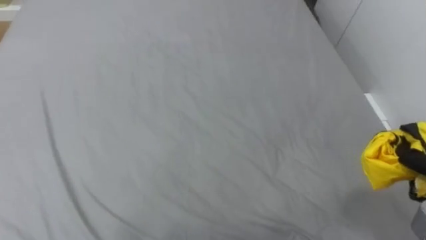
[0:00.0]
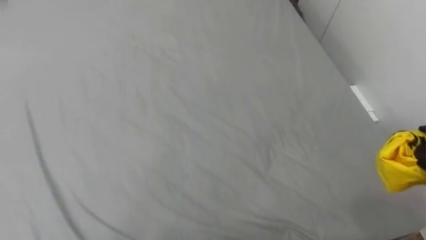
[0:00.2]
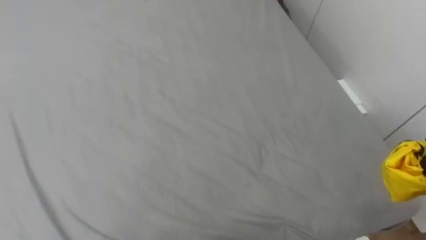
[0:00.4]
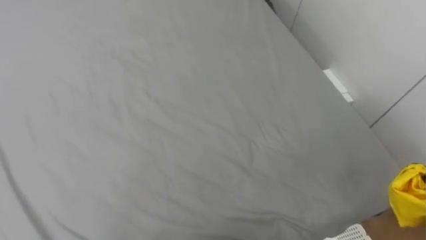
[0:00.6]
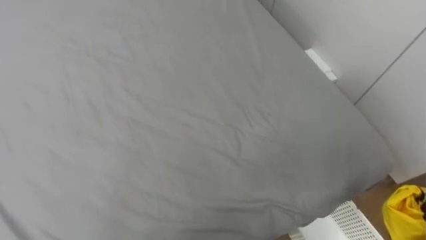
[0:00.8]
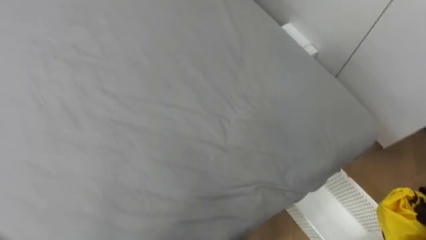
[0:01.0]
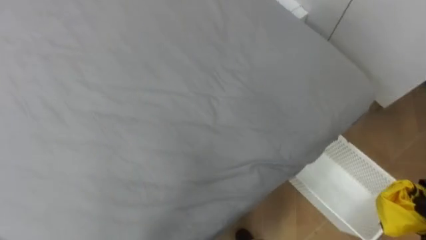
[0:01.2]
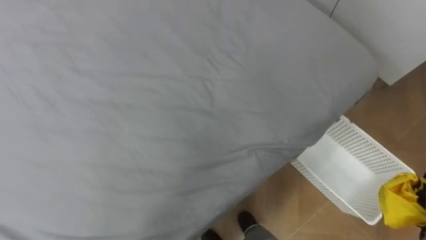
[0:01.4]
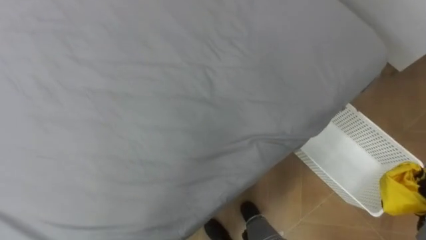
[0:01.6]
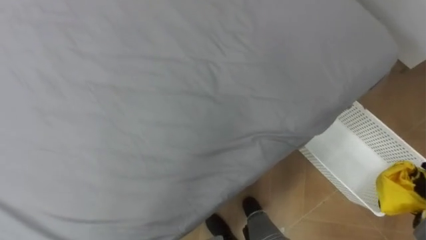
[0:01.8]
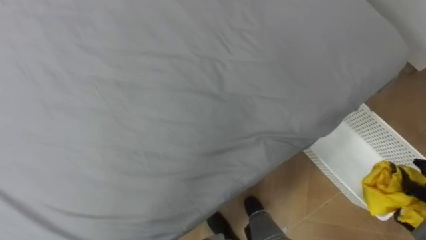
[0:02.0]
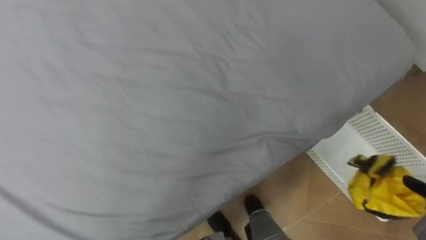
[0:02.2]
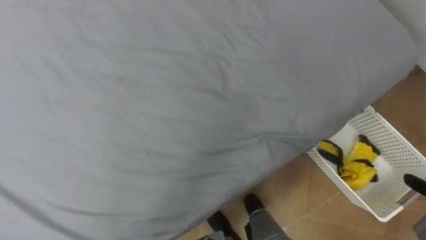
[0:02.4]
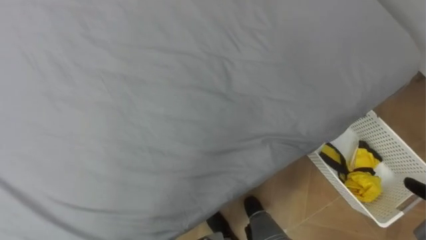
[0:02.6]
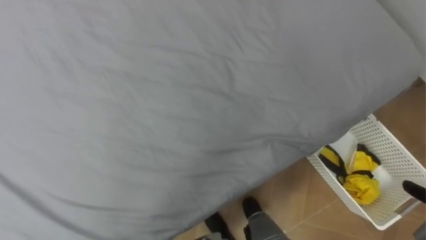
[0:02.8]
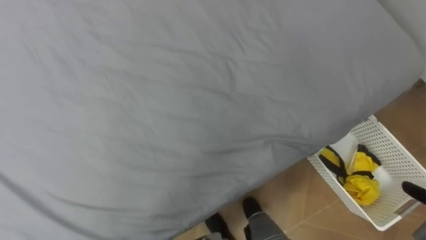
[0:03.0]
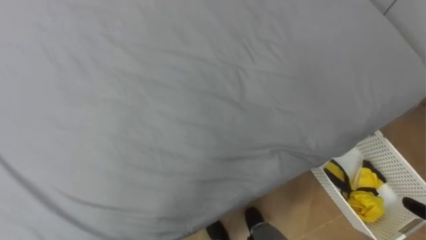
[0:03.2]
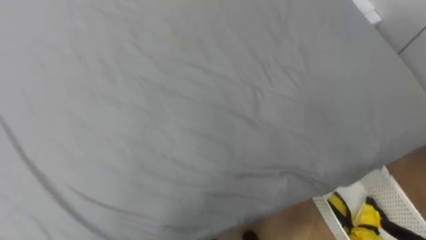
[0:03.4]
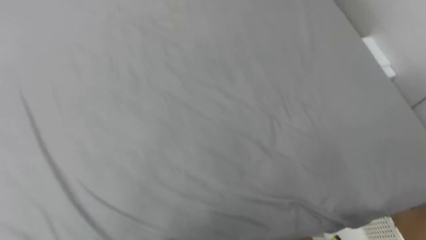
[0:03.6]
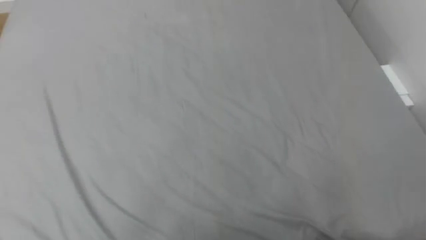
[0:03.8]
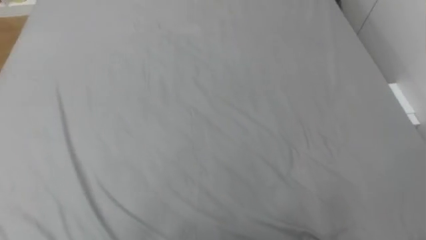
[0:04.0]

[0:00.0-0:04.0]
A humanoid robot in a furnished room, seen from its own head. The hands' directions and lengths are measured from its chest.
Task of the whole recording: Pick up the yellow clothes on the bed and place them into the white basket on the right.
0:00.0 to 0:01.4: The robot rotates roughly 20 degrees to its right.
0:02.6 to 0:04.0: The robot turns to its left by some 20 degrees.

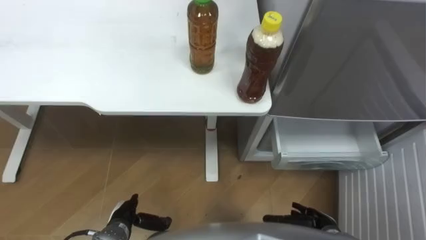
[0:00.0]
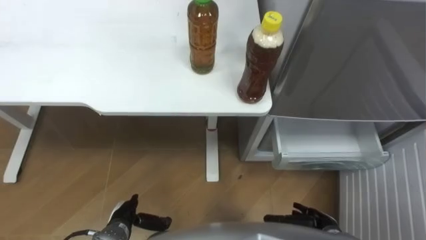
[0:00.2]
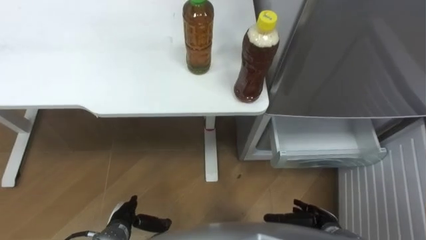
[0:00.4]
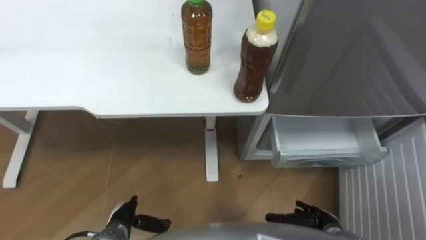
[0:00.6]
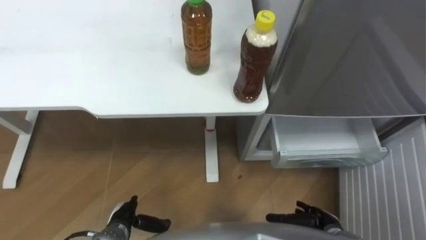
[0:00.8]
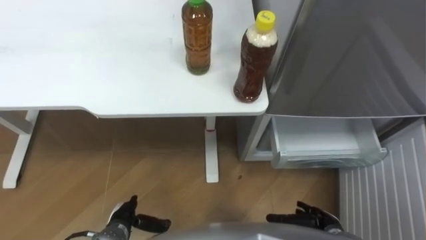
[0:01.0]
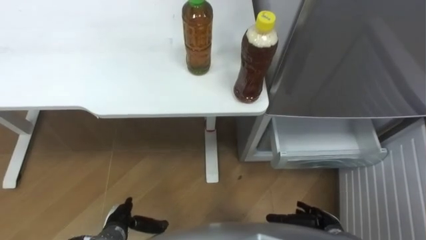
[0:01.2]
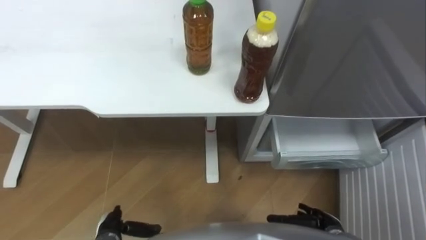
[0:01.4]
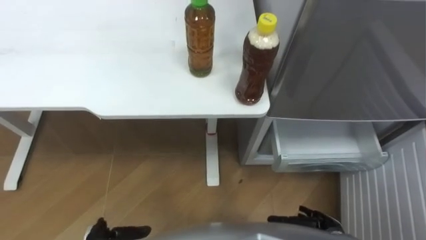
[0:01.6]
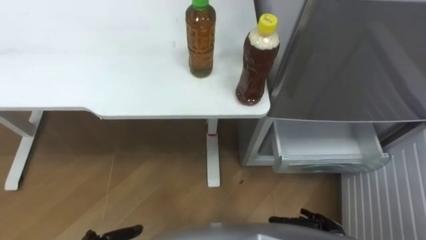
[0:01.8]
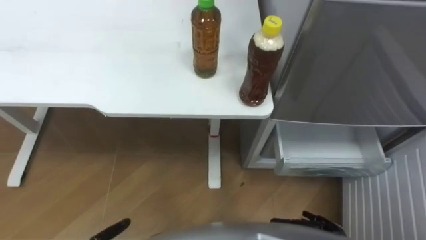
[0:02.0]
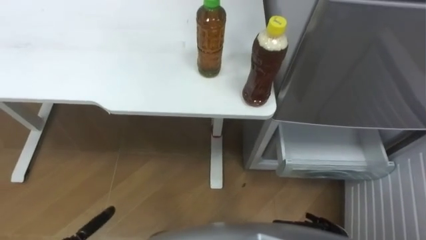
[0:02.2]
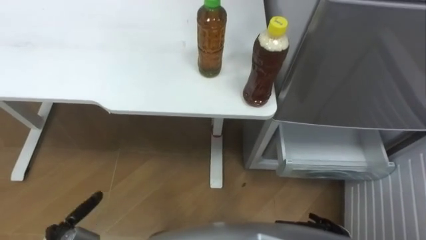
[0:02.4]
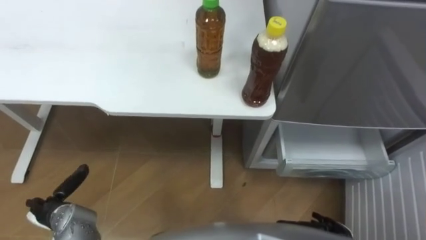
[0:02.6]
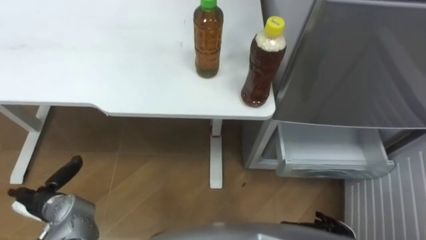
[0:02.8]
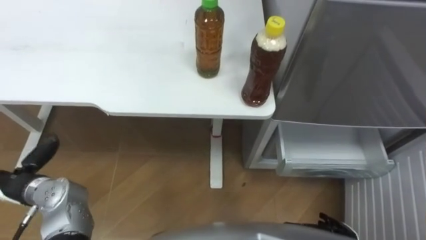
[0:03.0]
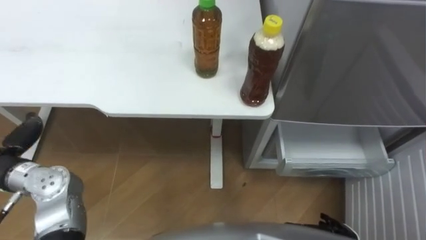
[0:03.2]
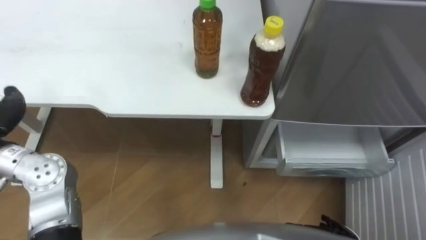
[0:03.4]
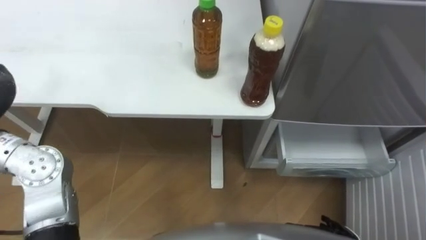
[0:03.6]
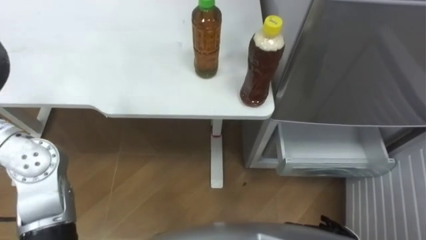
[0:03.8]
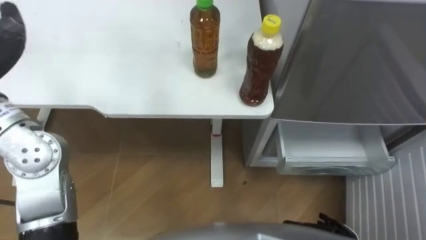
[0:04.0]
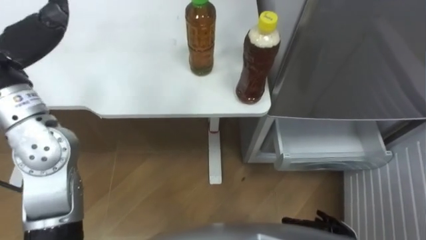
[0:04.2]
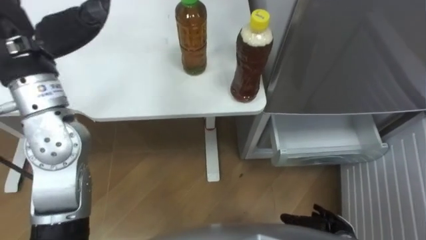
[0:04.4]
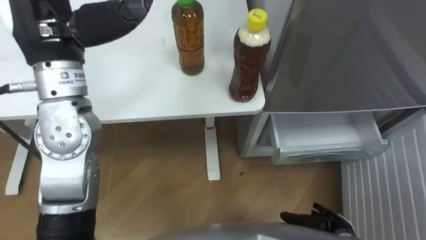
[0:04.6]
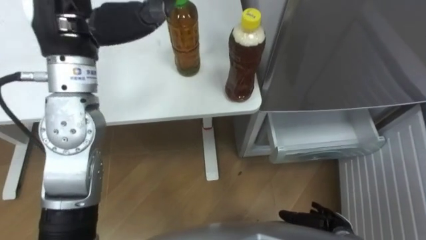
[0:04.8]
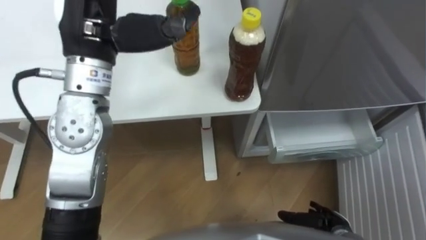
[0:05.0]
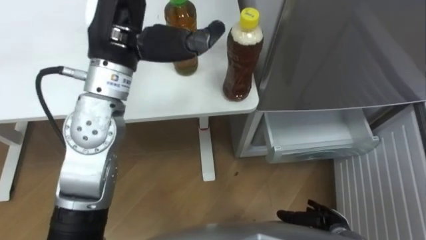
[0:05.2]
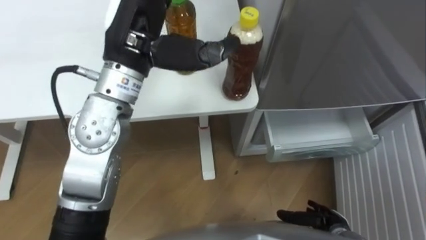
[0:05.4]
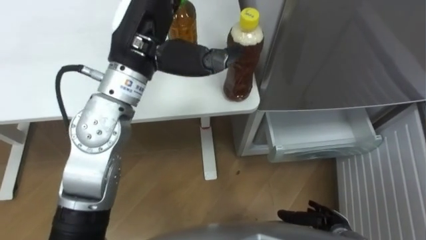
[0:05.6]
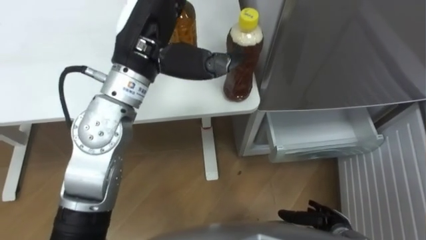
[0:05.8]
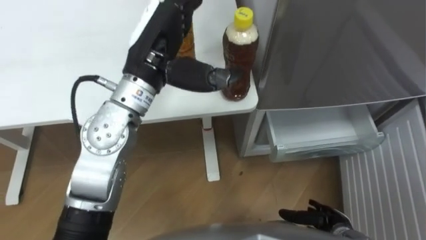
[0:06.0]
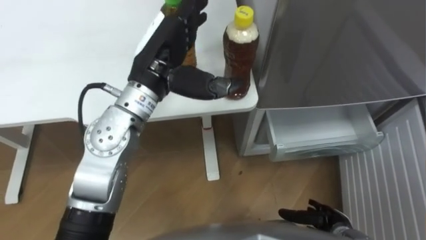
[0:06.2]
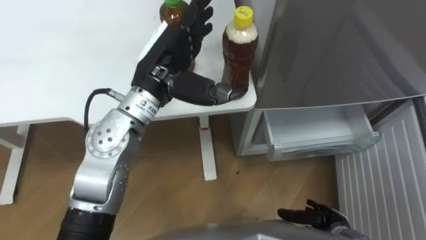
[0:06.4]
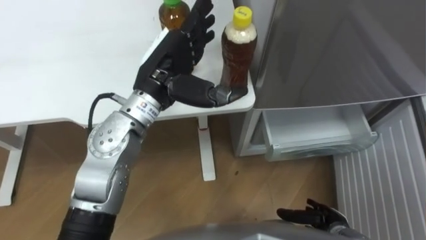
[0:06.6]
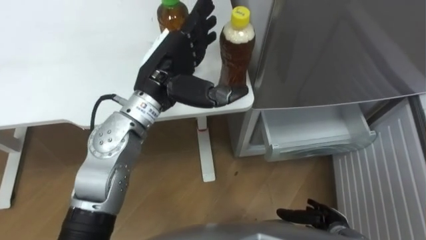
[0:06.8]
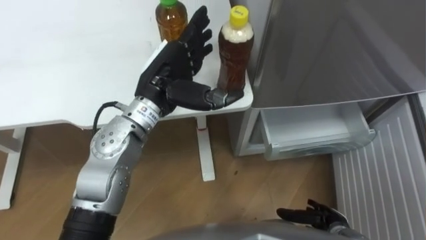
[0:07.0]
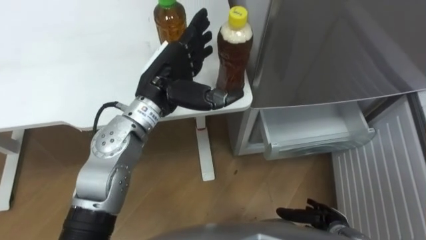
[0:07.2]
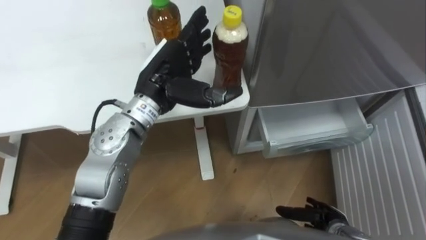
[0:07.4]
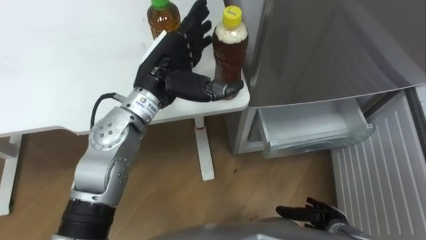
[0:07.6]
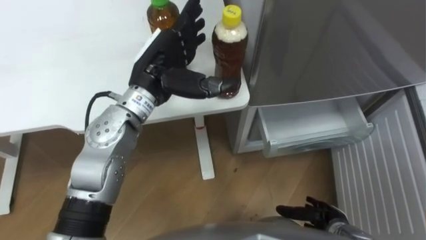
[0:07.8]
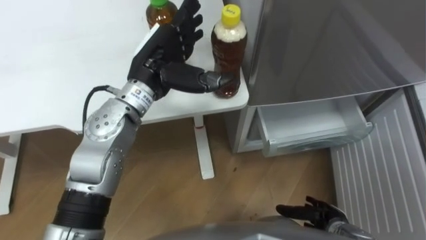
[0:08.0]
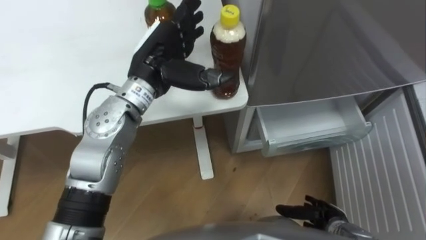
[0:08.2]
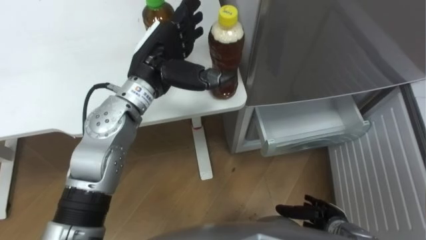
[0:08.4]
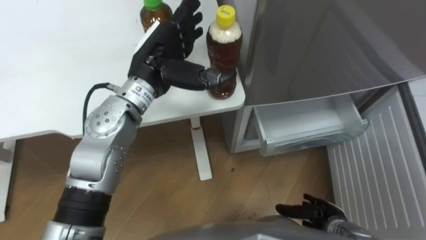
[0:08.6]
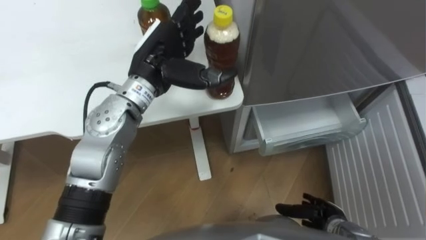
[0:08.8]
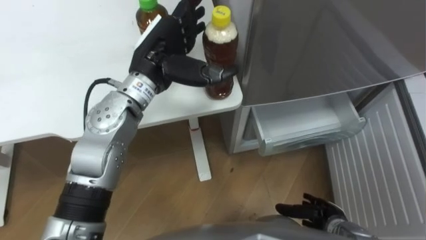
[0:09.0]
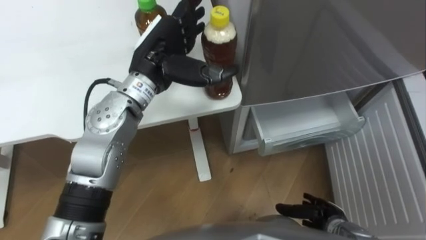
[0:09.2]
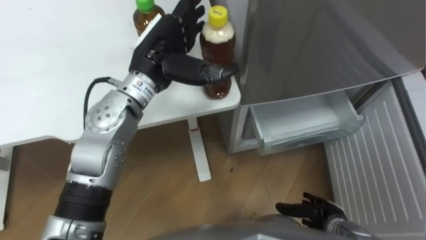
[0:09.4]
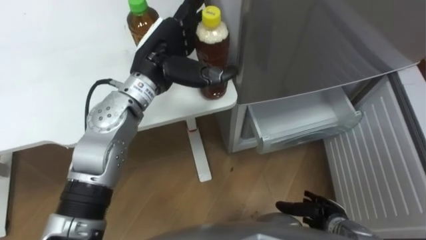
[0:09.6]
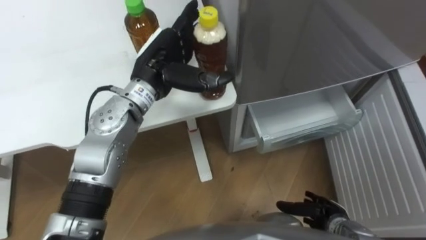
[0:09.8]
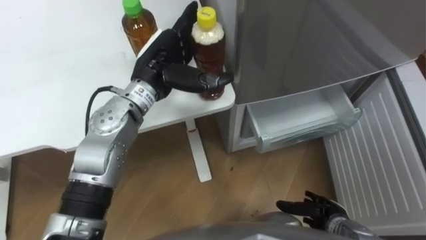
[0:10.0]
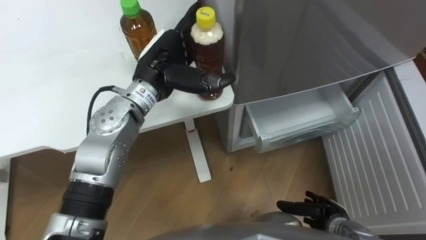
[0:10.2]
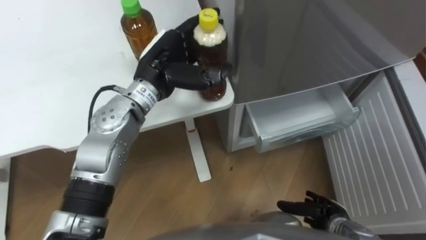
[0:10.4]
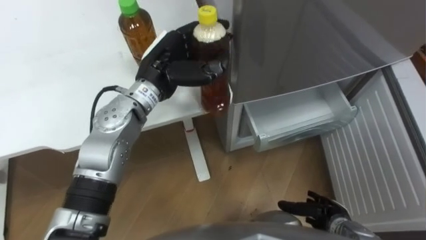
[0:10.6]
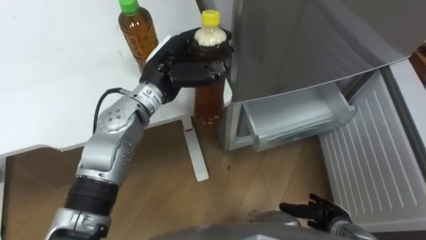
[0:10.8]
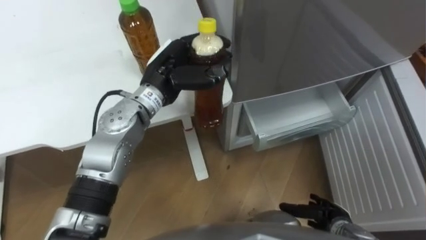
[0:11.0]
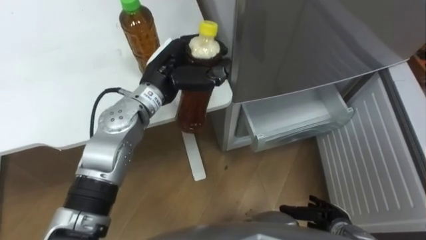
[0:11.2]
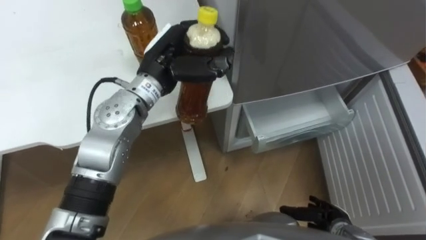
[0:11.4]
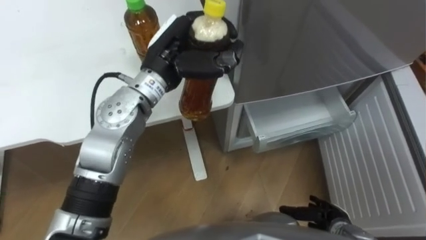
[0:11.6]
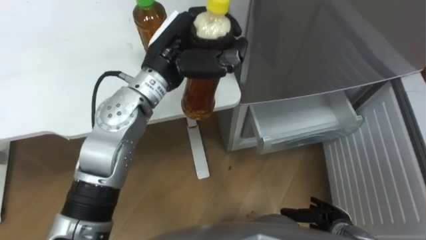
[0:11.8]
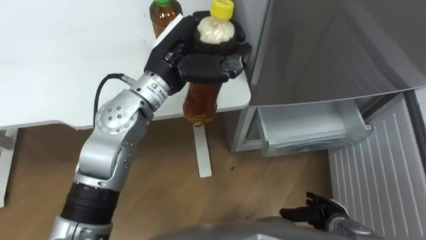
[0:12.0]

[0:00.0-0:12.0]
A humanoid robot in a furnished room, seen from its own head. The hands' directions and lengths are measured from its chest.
Task of the whole recording: Place the drink on the table on the bottom shelf of the refrigerator, then close the drawer and the refrigerator door.
0:04.4 to 0:06.0: The left hand moves to the right, about 15 cm.
0:06.0 to 0:07.6: The left hand goes approximately 5 cm downward.
0:10.4 to 0:12.0: The left hand ends up approximately 5 cm from where it was, and closes up.

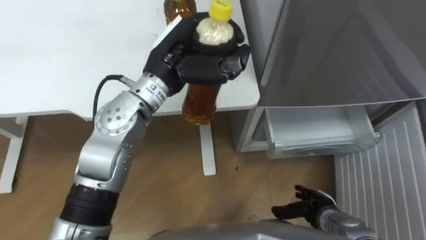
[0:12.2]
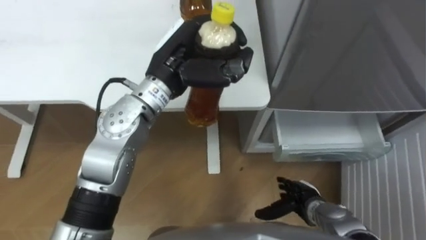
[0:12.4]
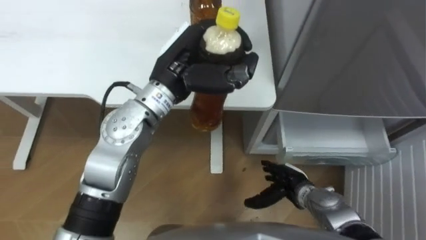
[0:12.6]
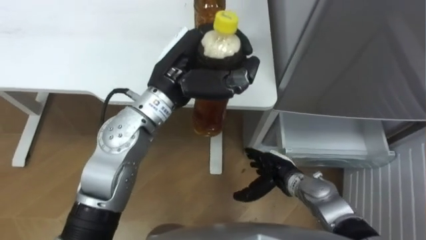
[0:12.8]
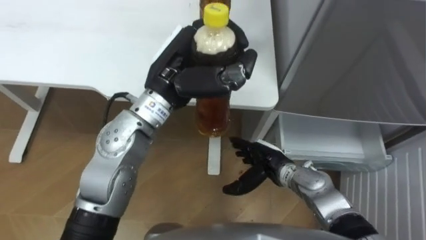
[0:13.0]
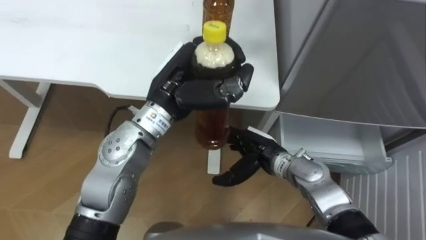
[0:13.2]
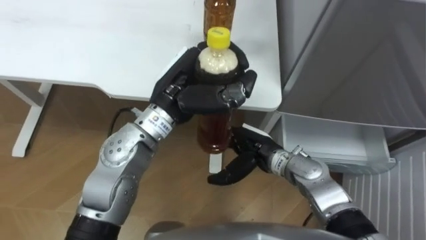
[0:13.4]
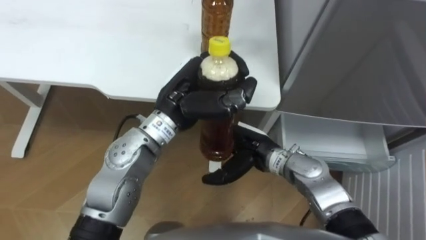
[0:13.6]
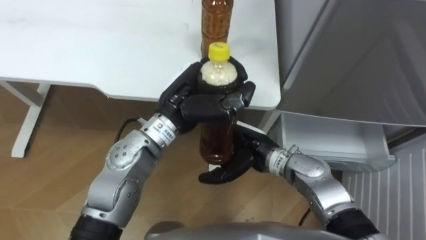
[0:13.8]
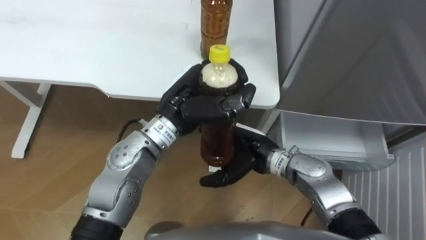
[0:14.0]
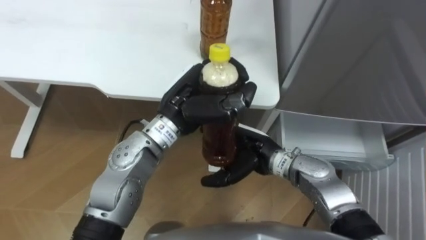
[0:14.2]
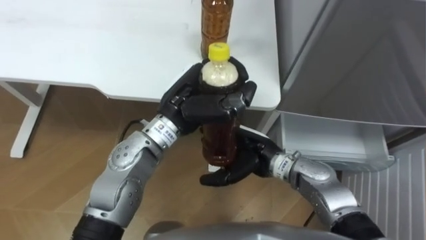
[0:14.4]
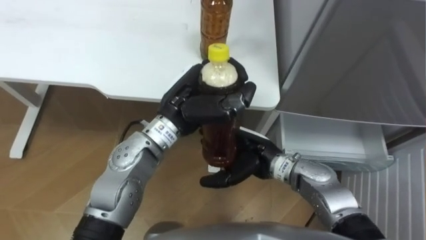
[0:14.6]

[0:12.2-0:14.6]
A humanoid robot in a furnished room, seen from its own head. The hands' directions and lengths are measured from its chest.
Task of the whole recording: Place the drink on the table on the bottom shelf of the refrigerator, then close the drawer and the refrigerator door.
0:12.2 to 0:13.4: The right hand heads to the left, upward and forward, covering approximately 25 cm.
0:13.4 to 0:14.6: The hands move only a little.
